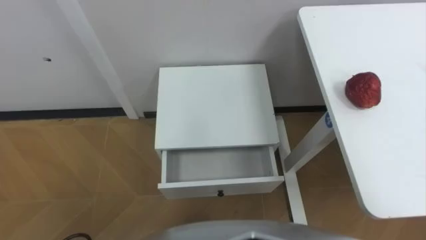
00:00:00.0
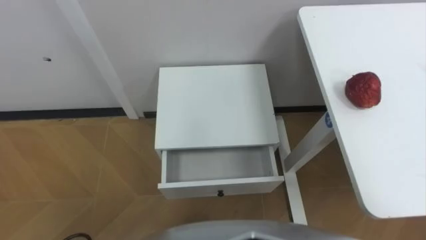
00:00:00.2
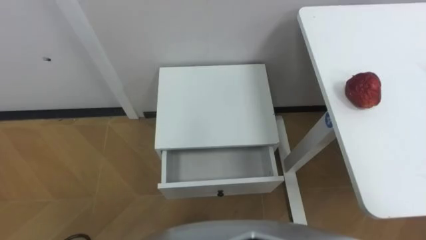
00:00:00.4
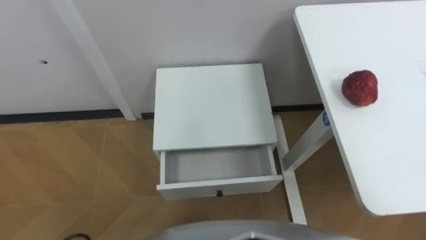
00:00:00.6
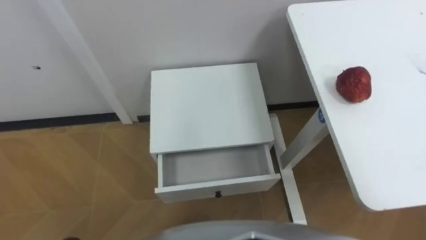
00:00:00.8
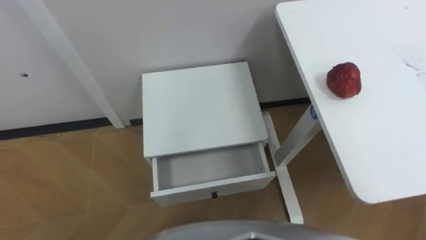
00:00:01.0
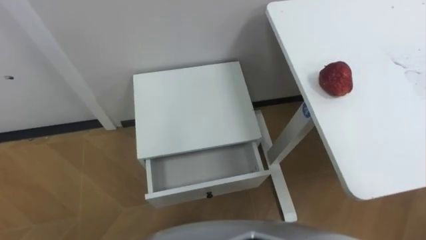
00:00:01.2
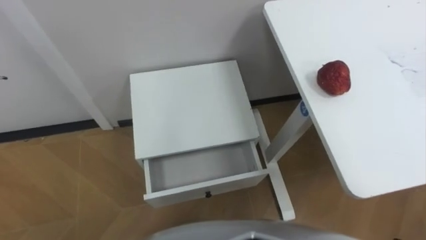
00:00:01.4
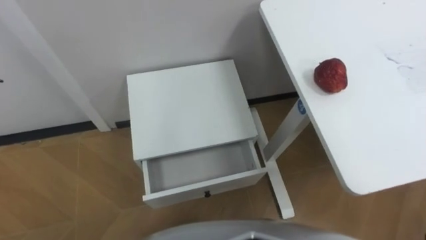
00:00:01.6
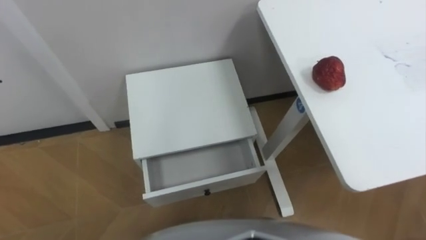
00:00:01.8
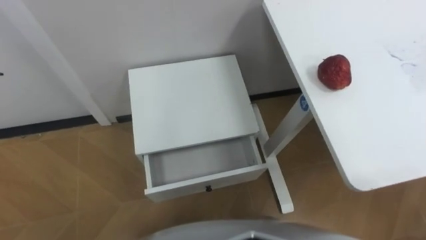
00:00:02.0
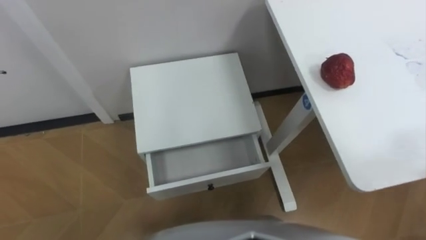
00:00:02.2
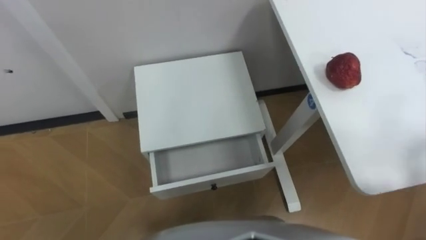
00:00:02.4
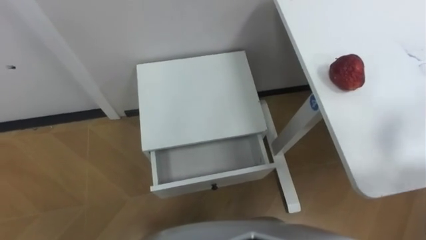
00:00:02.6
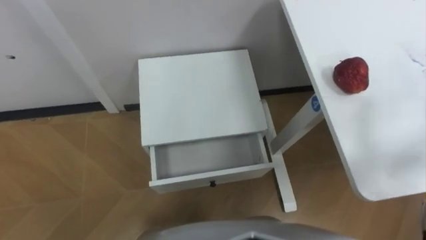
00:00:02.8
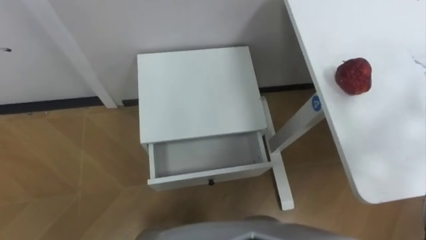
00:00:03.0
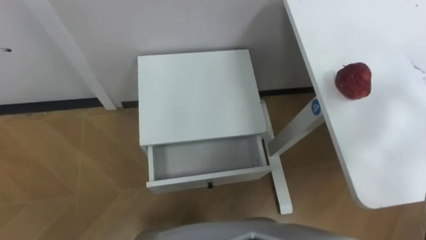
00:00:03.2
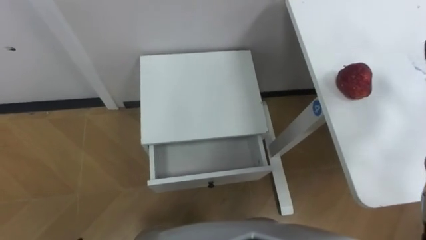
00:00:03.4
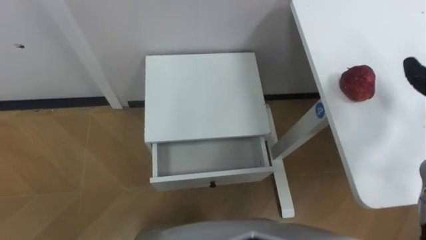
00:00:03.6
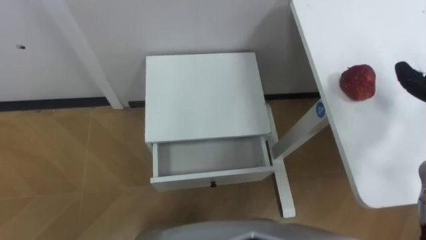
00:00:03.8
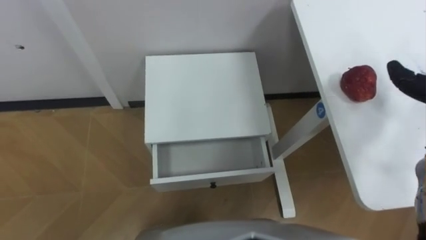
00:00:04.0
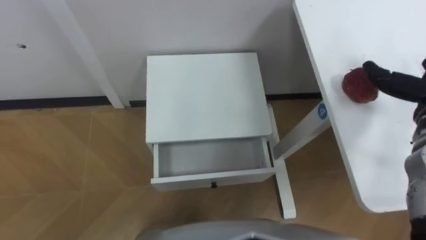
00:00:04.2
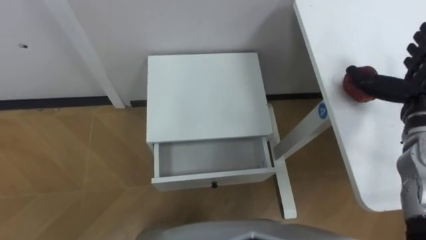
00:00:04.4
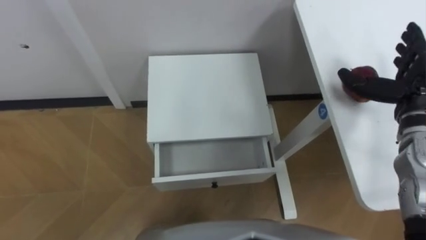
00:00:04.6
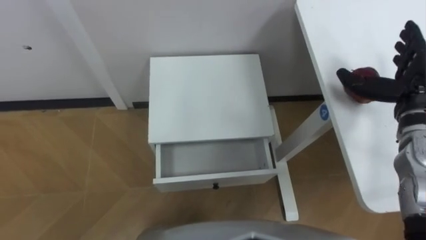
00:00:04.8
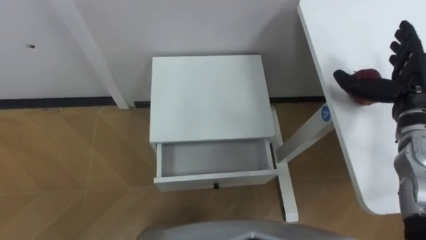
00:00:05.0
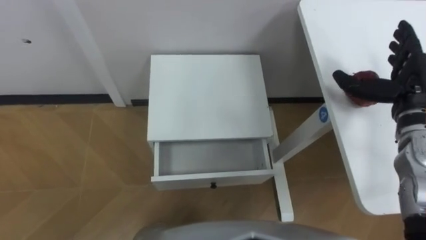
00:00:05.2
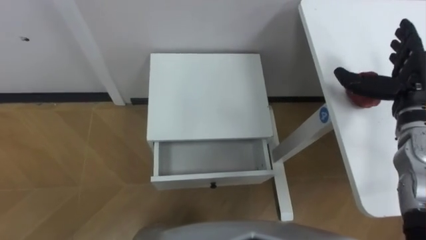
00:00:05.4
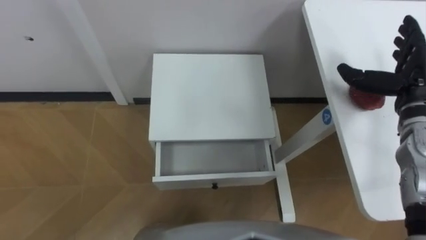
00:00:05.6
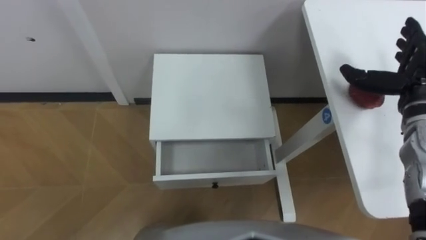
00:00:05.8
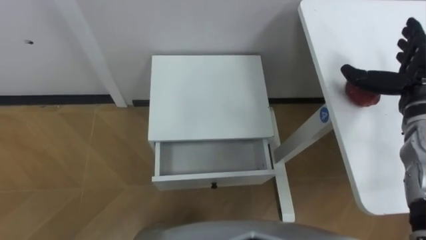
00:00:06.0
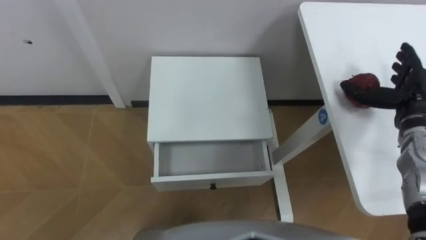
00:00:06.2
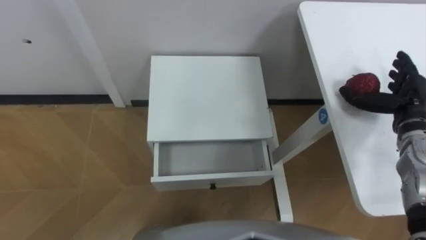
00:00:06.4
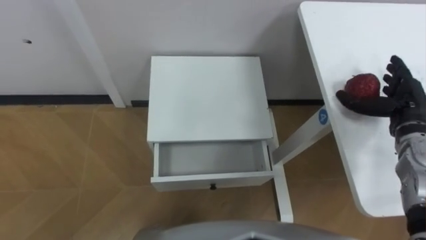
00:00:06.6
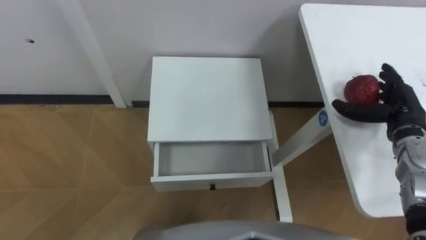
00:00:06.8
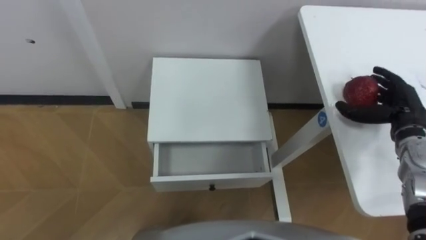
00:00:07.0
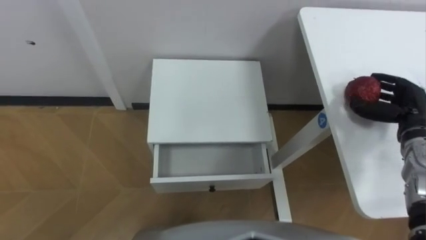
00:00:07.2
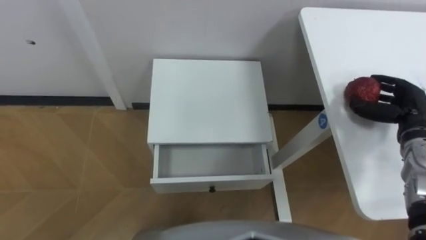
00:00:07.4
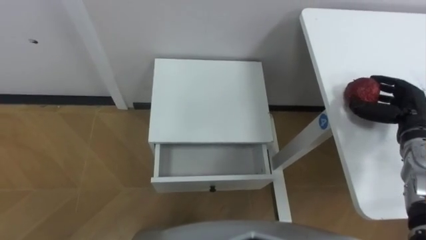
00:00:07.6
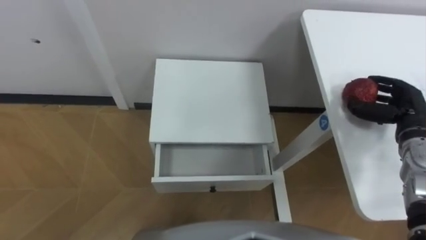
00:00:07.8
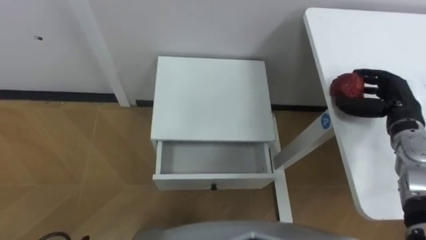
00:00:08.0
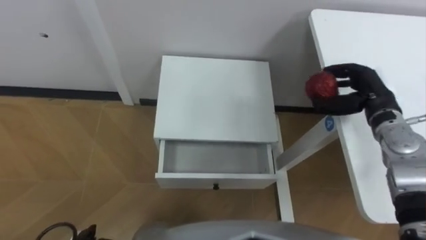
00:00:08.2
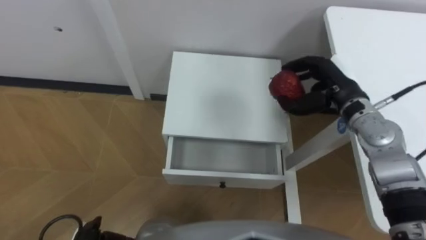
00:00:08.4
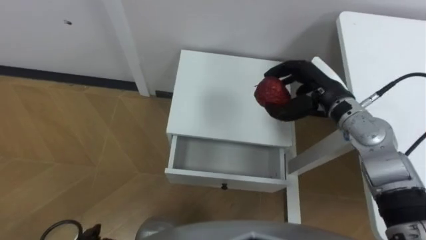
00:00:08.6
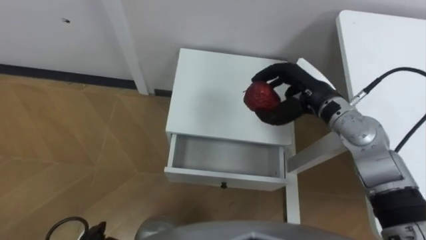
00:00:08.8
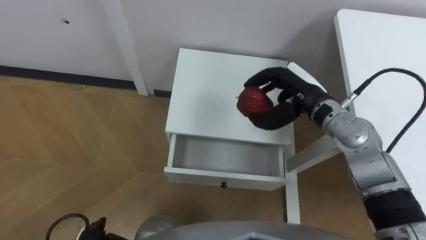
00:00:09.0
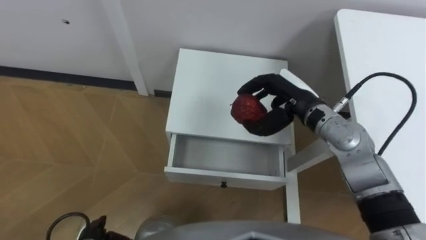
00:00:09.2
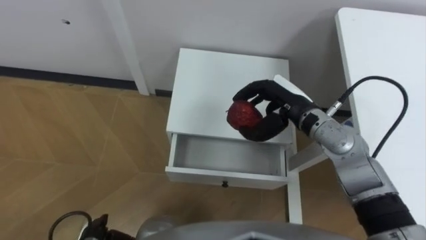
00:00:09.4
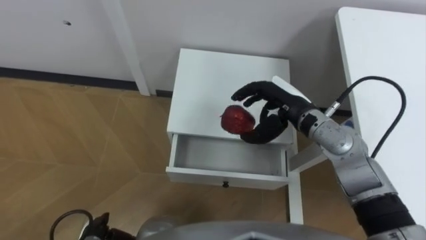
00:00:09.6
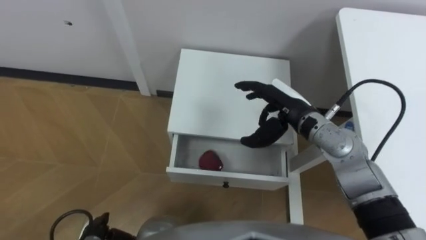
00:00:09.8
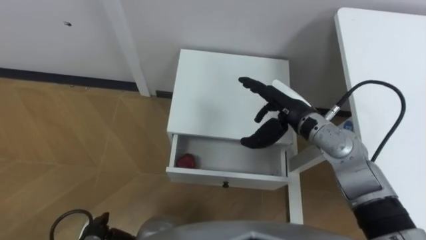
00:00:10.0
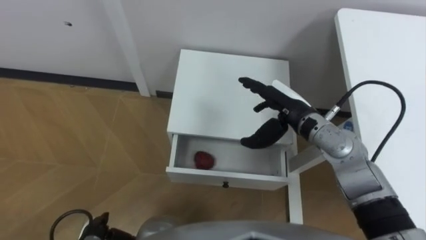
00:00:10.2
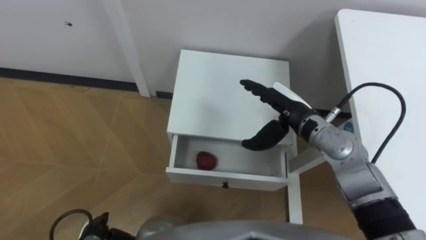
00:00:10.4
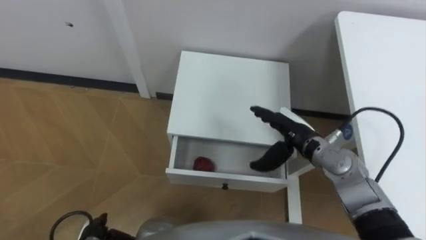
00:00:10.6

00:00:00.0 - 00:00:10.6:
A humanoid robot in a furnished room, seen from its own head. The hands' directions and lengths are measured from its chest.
Task of the whole recording: Pick up the apple from the table, put it in the drawer, and close the drawer with leg.
00:00:06.0 - 00:00:07.6: The right hand is displaced downward by some 10 cm, and closes.
00:00:07.6 - 00:00:09.0: The right hand goes approximately 20 cm to the left.
00:00:09.0 - 00:00:10.6: The right hand goes roughly 5 cm downward, and opens.

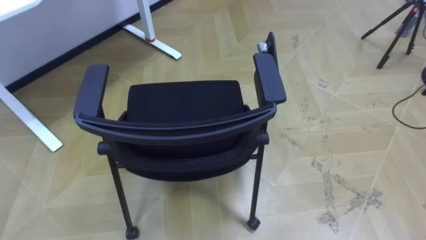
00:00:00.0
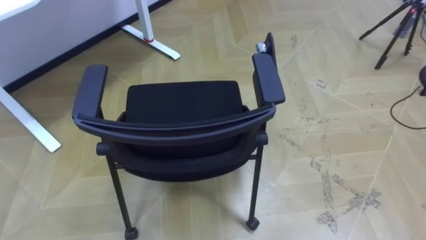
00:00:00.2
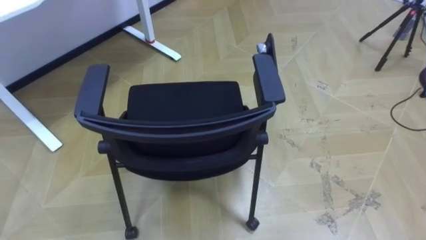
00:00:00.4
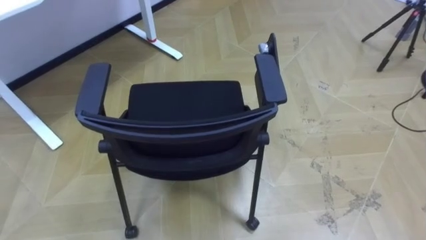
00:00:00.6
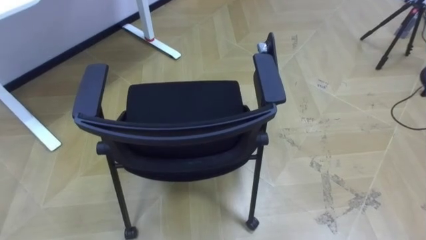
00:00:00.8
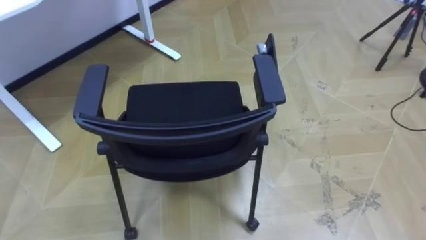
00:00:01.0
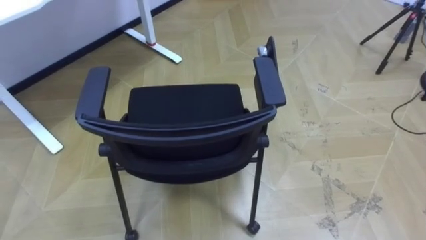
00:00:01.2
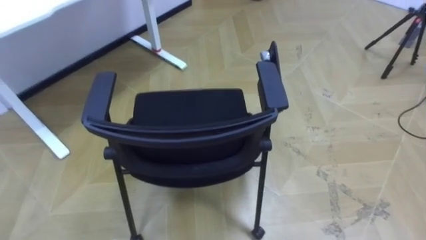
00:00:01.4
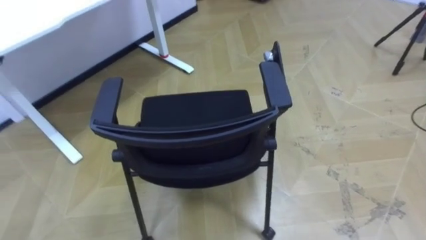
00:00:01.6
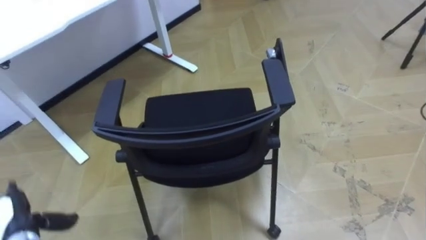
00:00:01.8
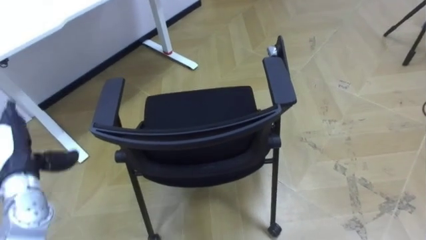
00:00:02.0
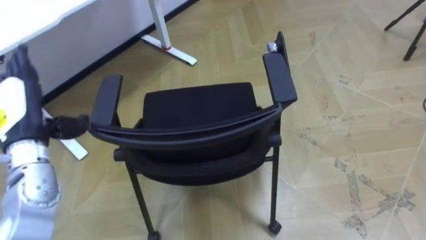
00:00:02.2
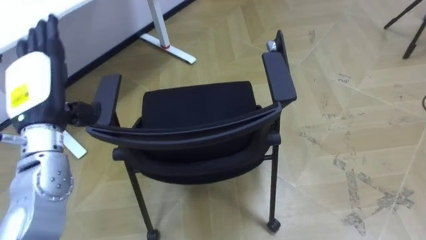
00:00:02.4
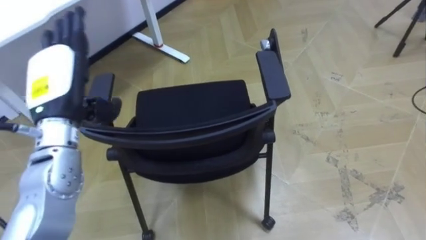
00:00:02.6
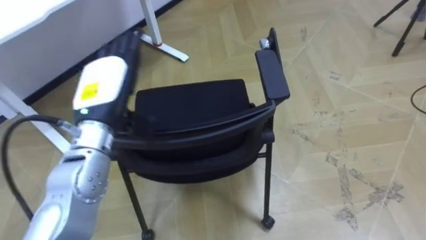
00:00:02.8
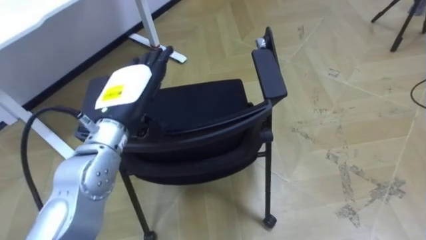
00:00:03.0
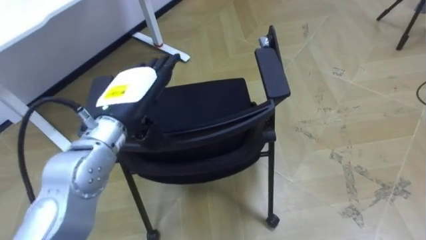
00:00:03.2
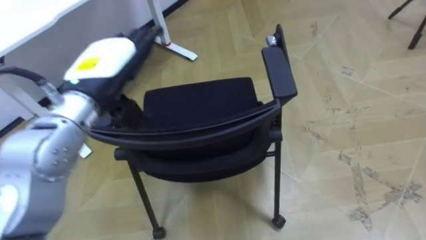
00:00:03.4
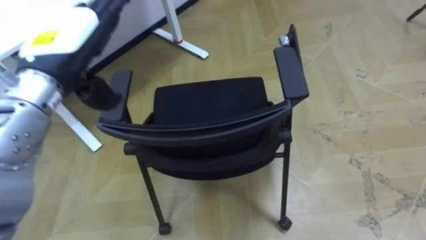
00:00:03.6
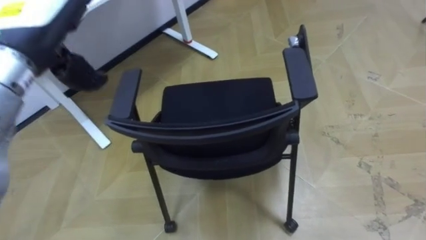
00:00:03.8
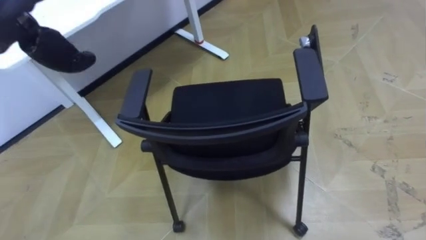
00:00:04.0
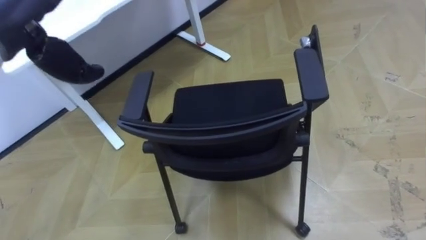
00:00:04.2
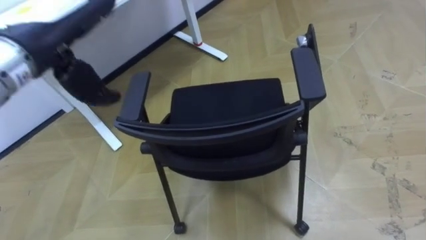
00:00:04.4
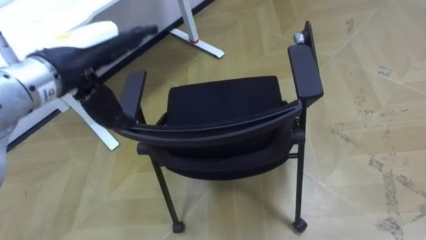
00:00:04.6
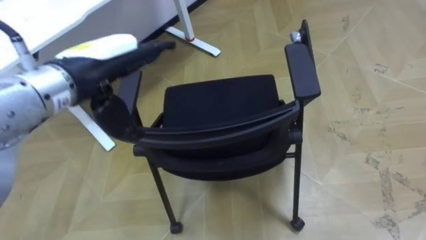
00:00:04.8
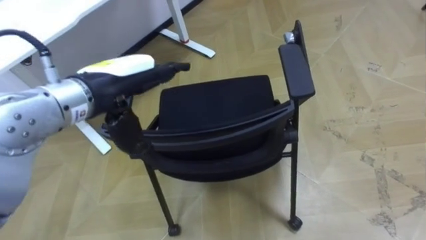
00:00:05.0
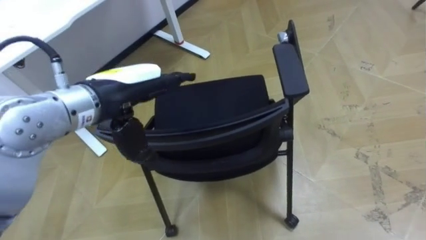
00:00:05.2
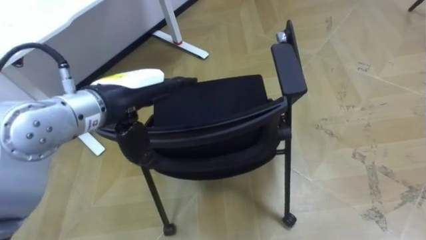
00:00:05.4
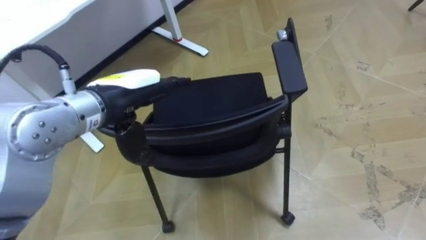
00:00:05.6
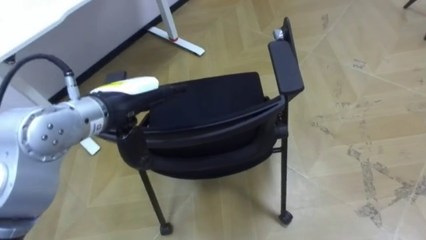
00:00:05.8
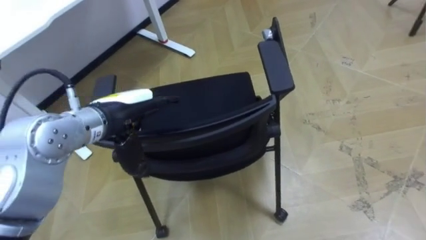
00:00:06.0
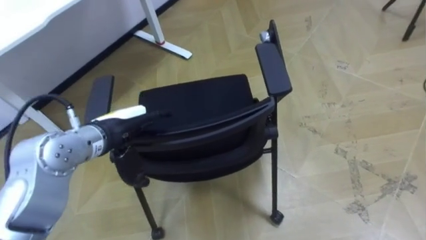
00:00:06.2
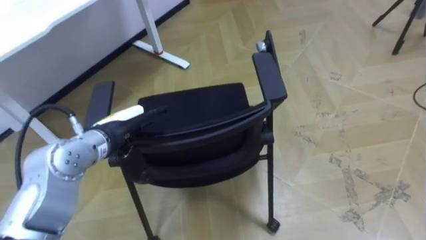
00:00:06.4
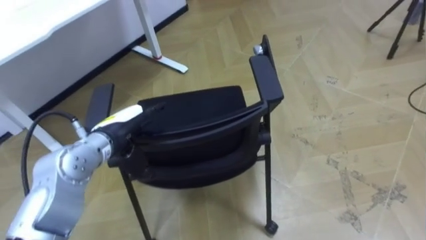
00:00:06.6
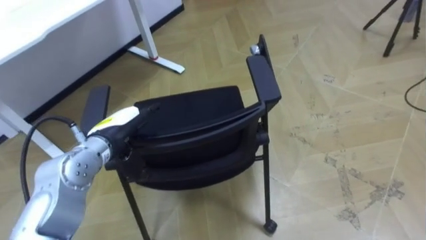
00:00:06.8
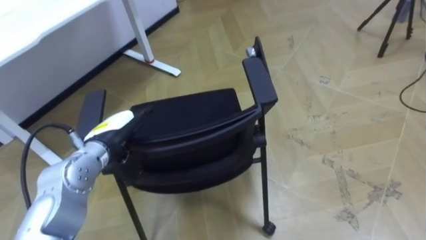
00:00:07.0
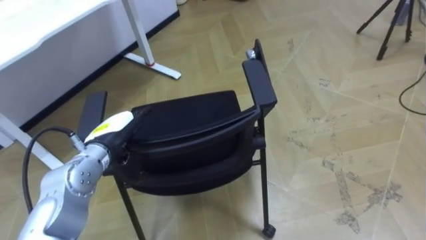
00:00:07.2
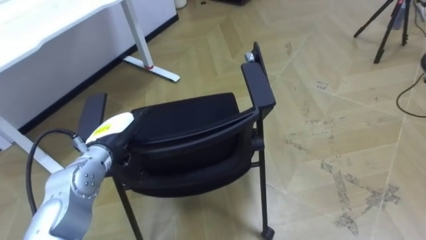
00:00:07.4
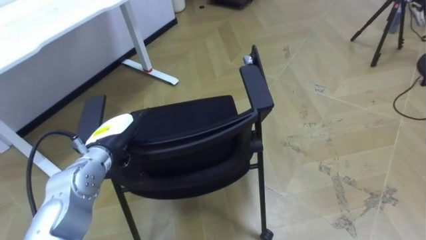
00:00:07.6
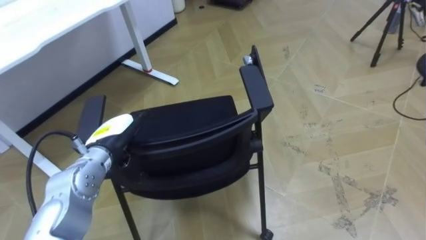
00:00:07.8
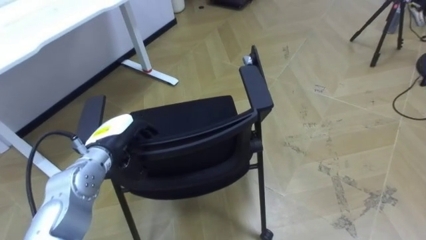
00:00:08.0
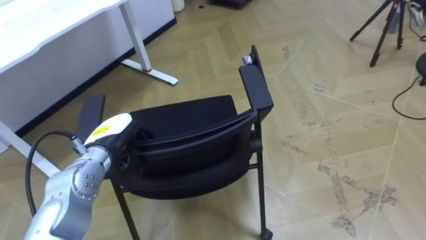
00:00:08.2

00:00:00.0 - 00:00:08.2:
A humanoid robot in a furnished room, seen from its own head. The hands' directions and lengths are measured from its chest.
Task of the whole recording: Push the chair under the table.
00:00:03.2 - 00:00:05.0: The left hand moves some 15 cm upward and comes back.
00:00:05.0 - 00:00:06.6: The left hand shifts some 15 cm downward.
00:00:06.6 - 00:00:08.2: The left hand closes its fingers.
